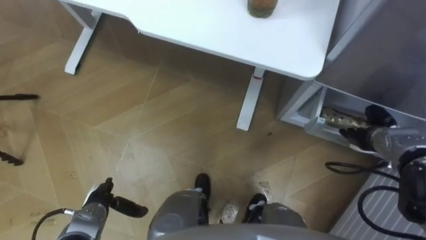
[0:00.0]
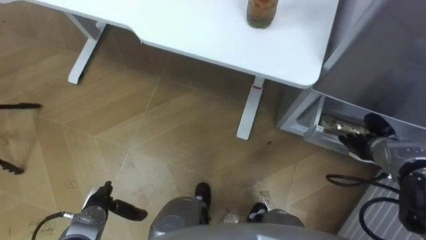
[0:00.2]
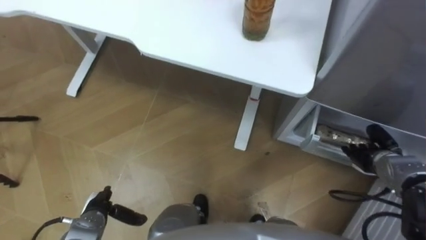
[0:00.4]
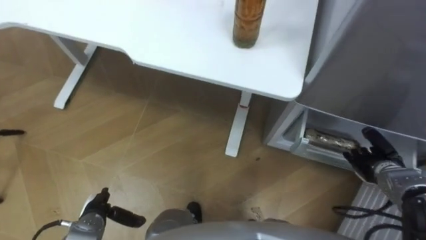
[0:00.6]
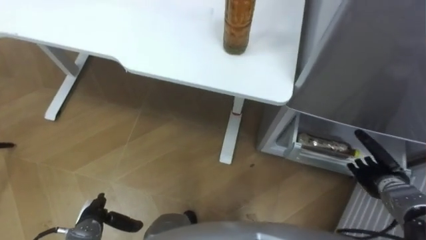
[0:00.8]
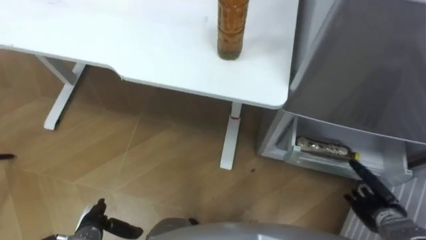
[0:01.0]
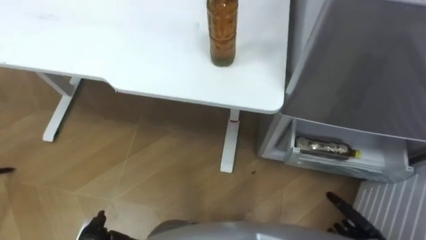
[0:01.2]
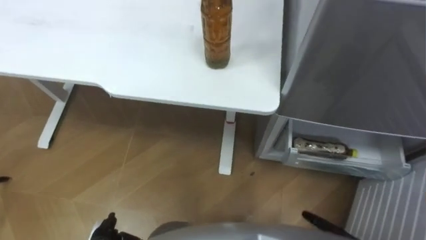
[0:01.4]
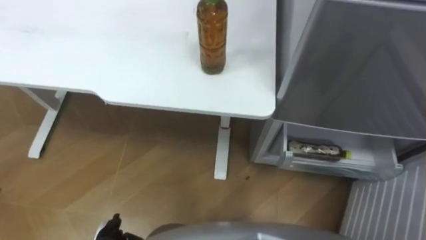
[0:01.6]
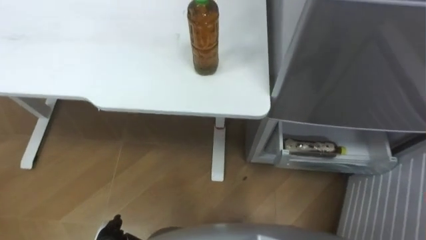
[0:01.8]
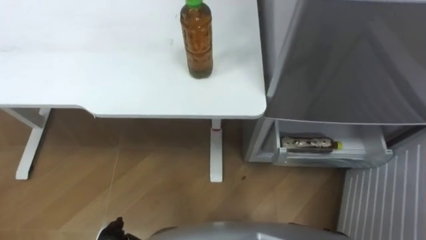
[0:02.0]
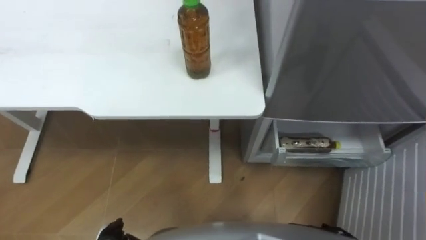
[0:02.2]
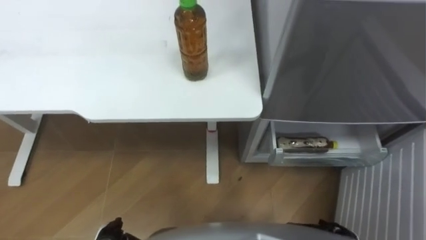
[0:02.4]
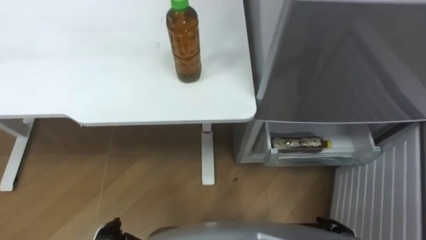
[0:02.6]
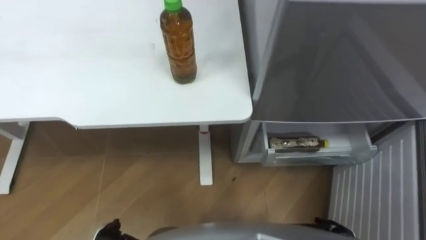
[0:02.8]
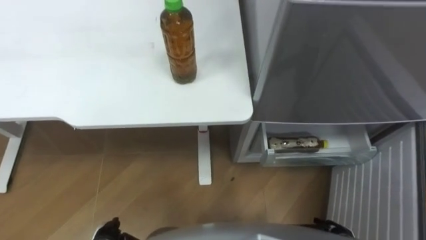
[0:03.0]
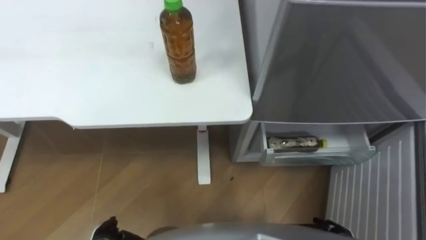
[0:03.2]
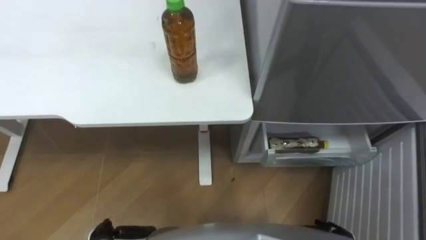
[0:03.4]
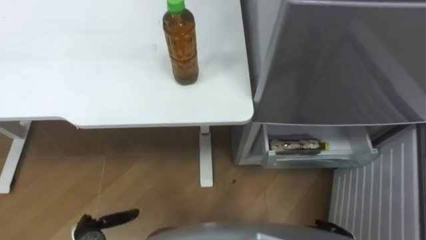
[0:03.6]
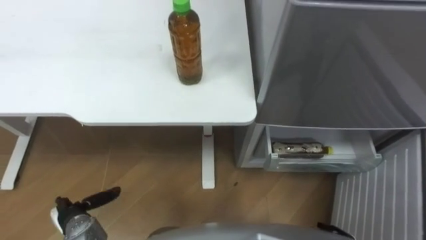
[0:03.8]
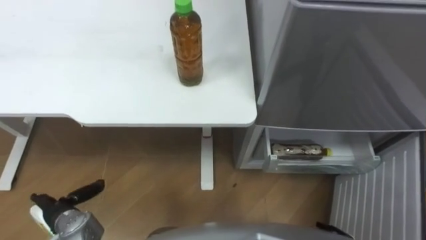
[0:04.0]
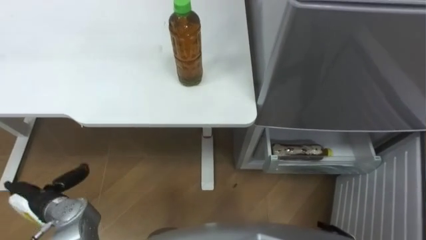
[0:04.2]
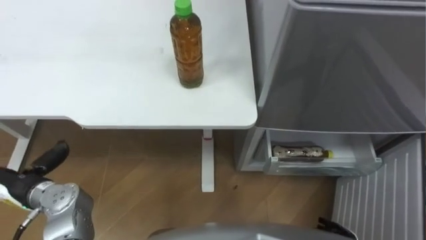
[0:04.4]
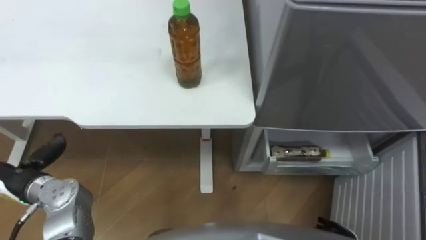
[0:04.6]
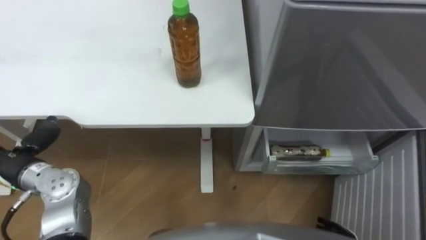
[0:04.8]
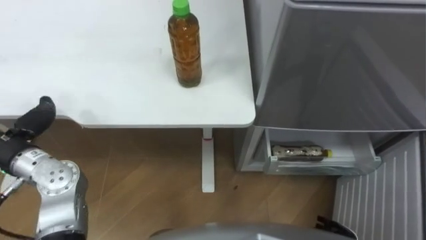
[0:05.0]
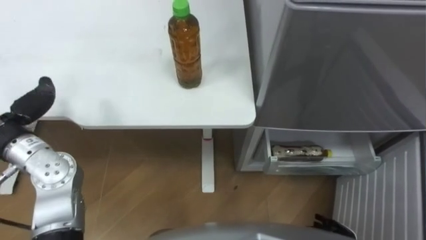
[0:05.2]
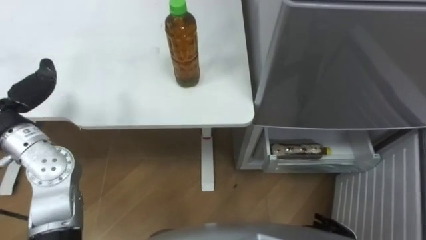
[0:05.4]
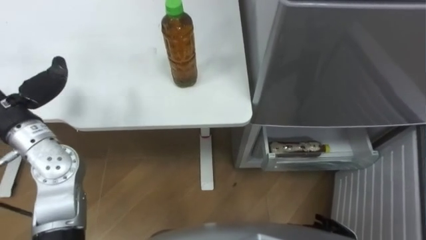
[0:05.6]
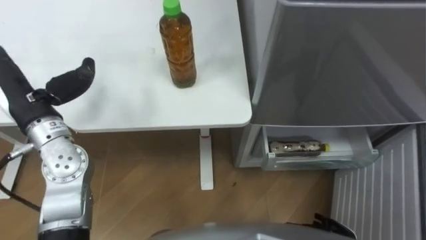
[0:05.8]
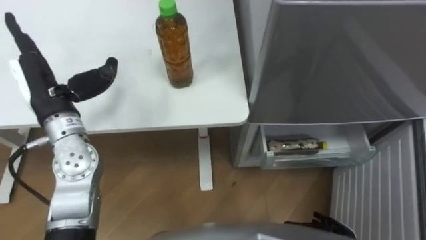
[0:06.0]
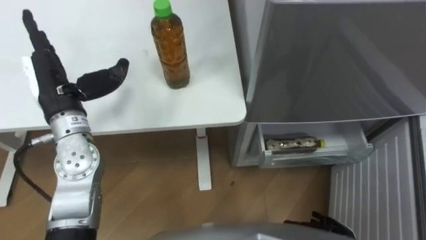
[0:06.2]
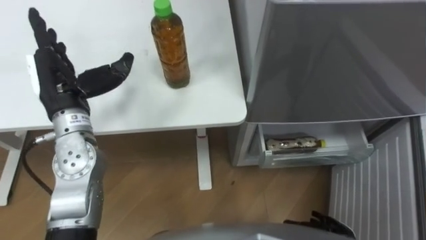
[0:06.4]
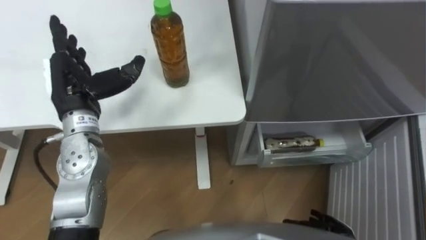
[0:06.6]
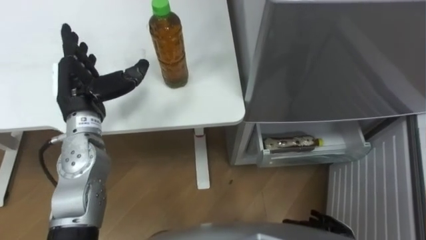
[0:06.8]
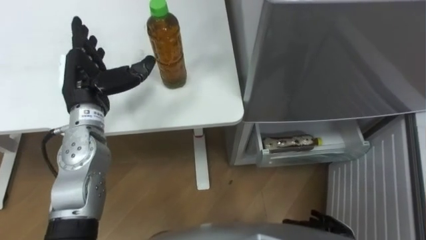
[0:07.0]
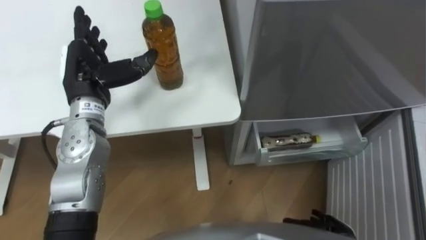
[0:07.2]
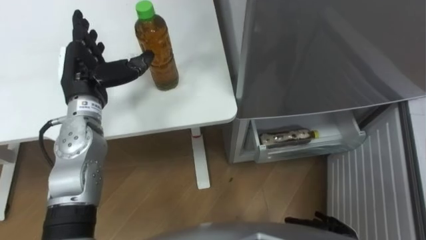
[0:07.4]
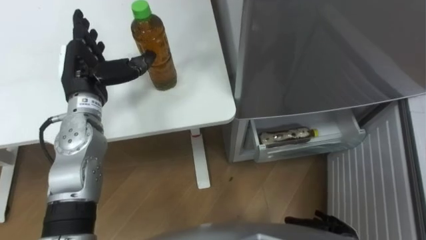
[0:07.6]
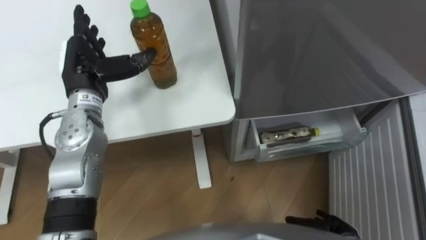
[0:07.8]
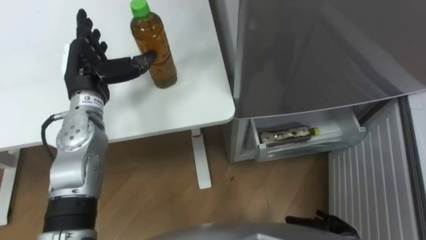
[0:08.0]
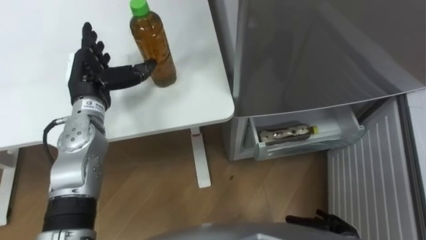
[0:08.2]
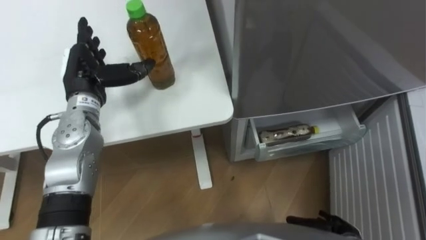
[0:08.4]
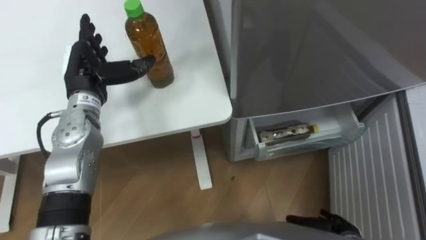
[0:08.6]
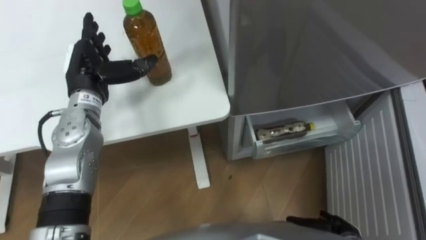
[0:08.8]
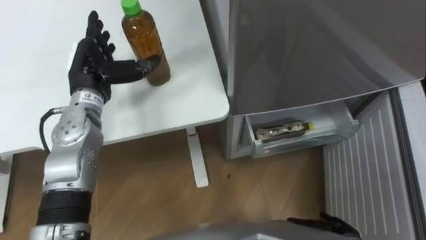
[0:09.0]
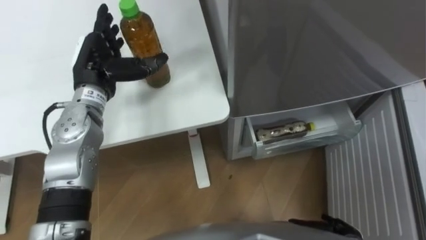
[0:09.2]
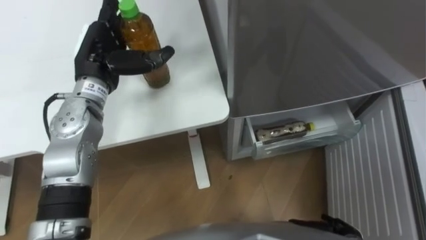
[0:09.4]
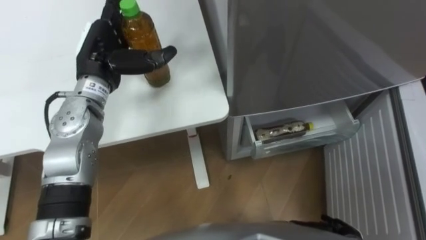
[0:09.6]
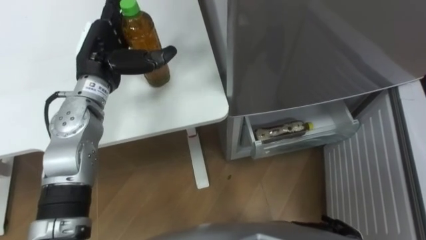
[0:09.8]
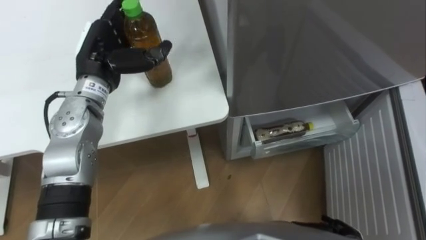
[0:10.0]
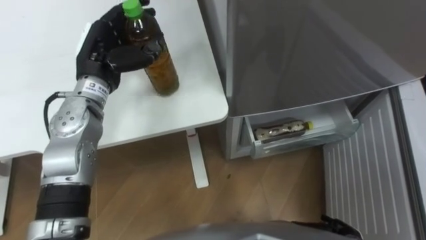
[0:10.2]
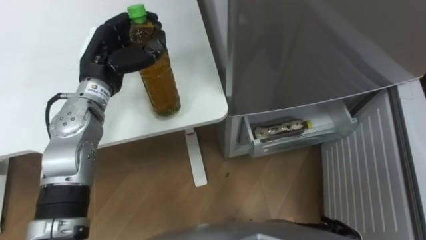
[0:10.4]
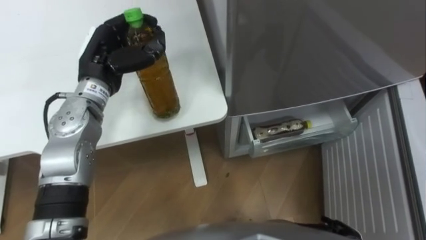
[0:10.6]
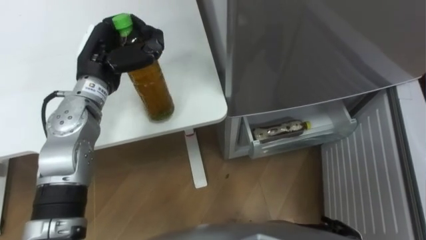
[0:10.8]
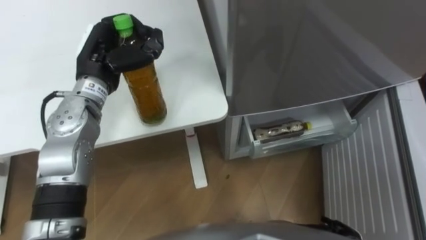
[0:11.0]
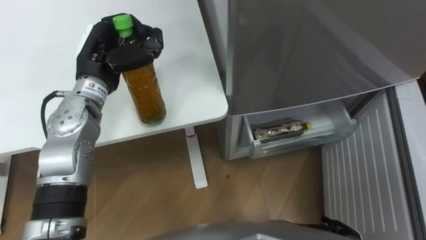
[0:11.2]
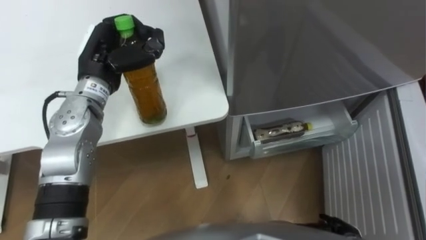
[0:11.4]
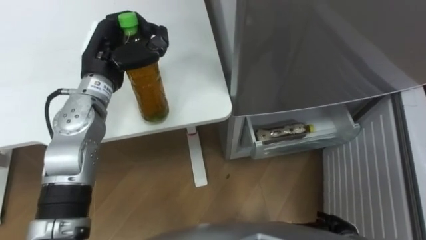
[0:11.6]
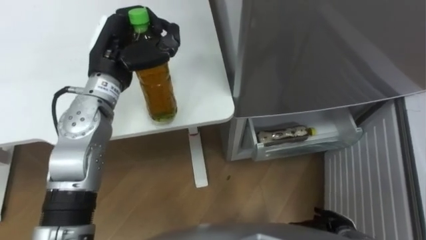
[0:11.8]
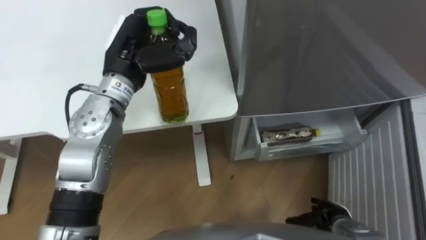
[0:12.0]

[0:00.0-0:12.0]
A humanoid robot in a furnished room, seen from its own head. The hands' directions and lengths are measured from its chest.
Task of the whole recording: Place the drink on the table on the bottom shelf of the refrigerator, then close the drawer and the refrigerator door.
0:06.0 to 0:07.6: The left hand shifts by roughly 5 cm.
0:09.0 to 0:10.4: The left hand closes.
0:10.4 to 0:12.0: The left hand moves to the right, approximately 5 cm.

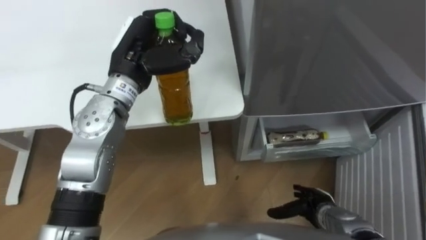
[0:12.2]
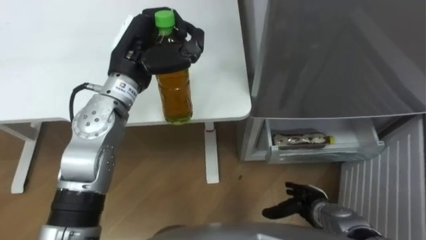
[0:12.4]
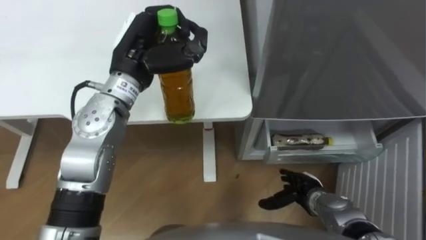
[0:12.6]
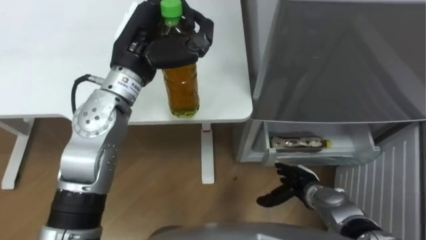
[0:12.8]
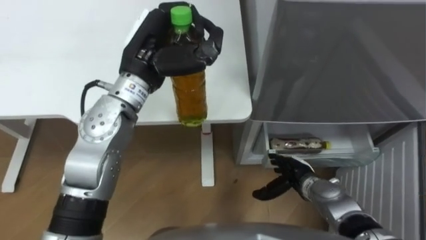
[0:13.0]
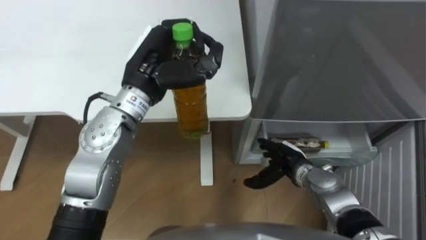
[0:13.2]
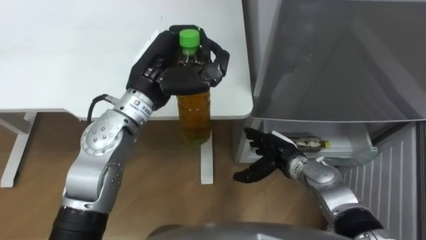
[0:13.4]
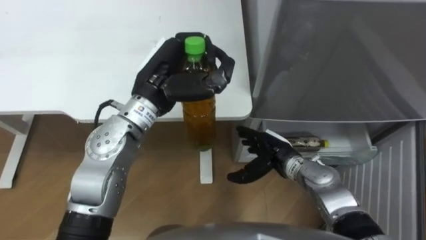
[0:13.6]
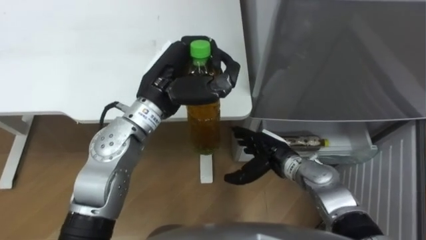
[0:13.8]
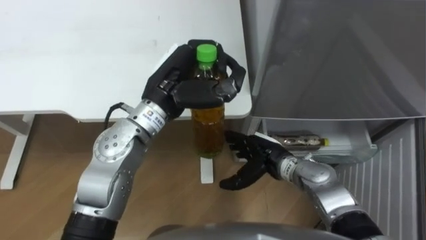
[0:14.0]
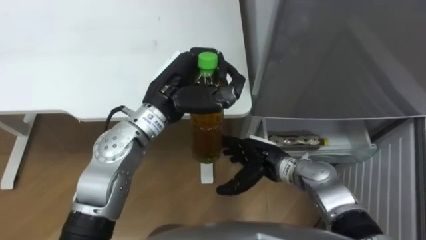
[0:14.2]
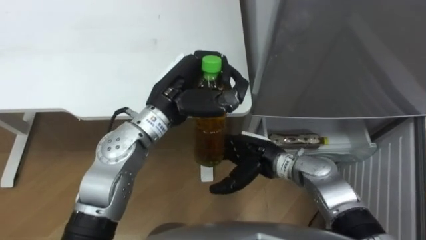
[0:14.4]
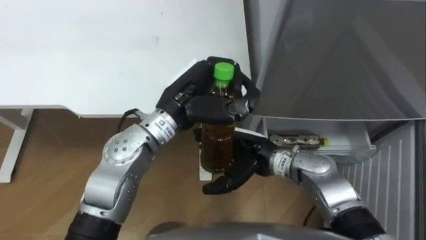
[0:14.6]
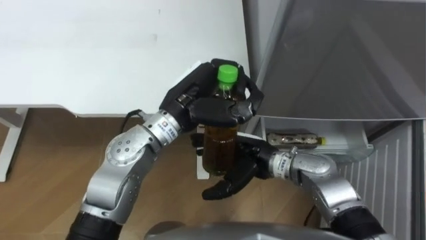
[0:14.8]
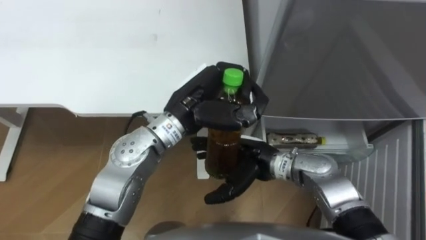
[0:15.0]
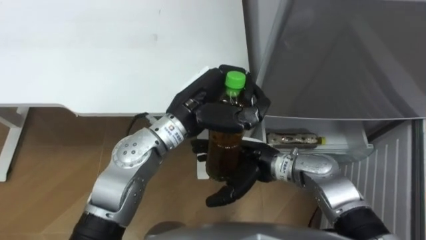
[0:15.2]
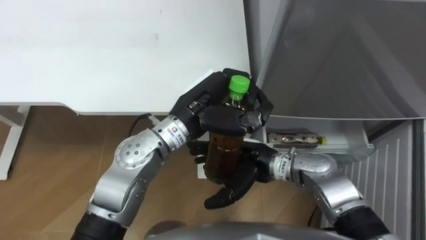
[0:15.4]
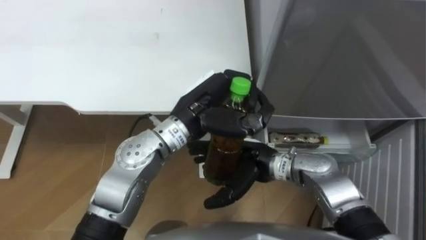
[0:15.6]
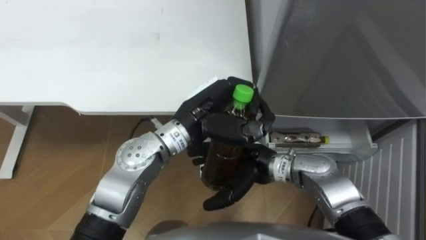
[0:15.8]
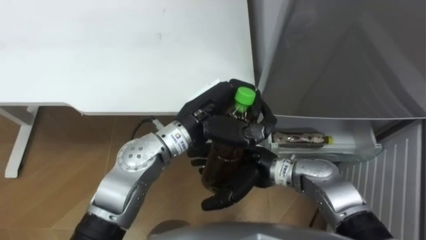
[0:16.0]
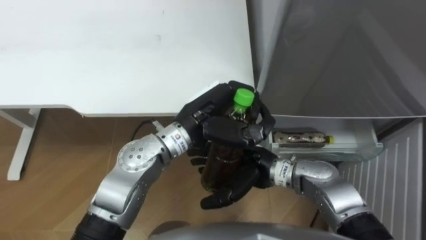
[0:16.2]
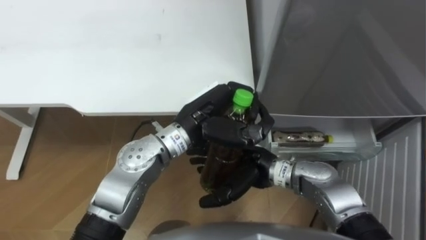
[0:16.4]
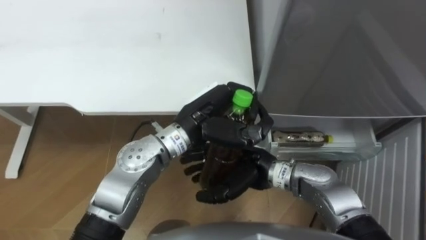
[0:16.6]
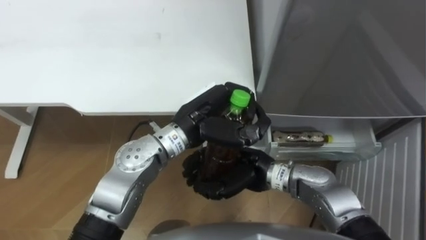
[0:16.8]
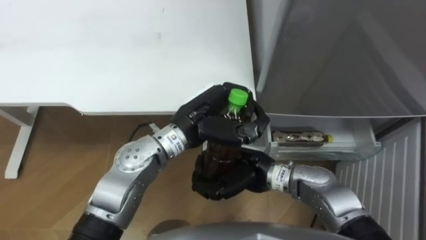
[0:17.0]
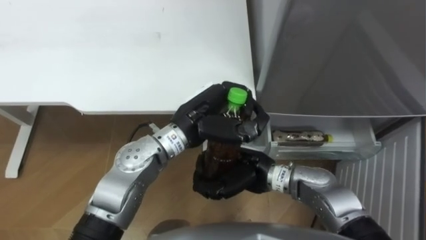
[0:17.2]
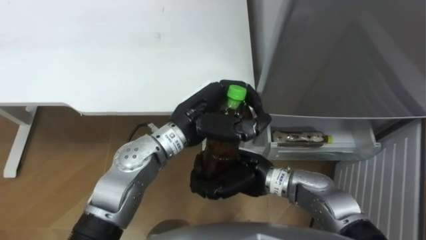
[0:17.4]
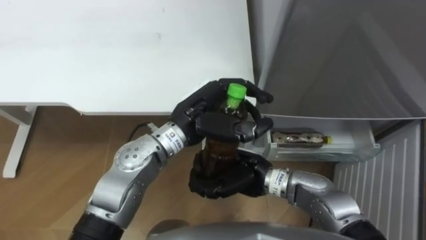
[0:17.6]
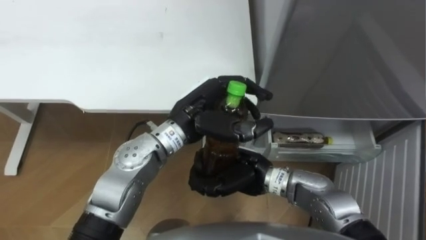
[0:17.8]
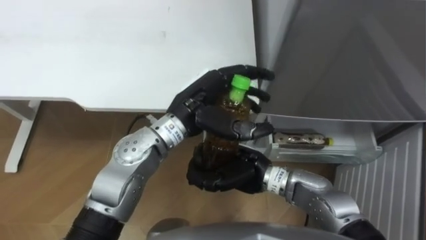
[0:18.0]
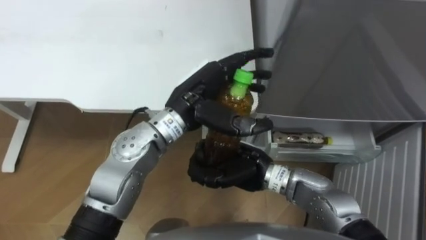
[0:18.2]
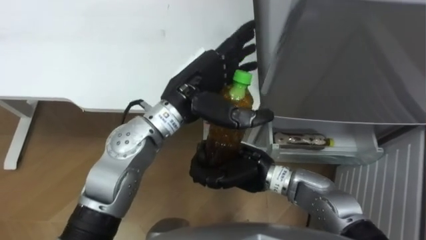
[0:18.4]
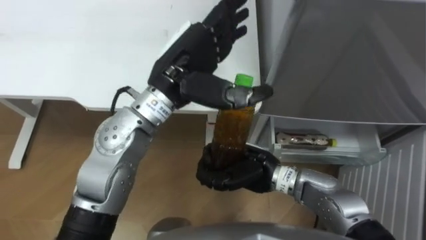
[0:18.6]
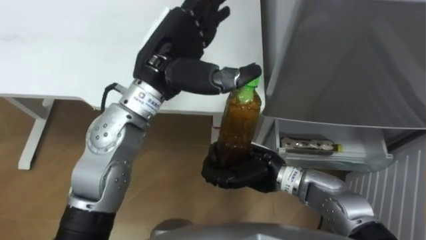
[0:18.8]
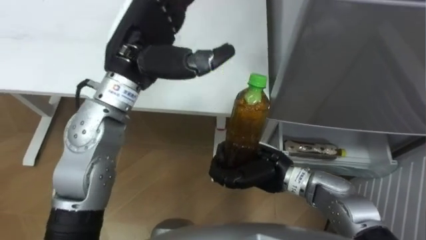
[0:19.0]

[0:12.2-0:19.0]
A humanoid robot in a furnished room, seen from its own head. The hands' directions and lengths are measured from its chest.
Task of the whole recording: Place the drink on the table on the bottom shelf of the refrigerator, then close the drawer and the refrigerator door.
0:12.2 to 0:13.6: The left hand moves approximately 5 cm; the right hand moves forward, to the left and upward, some 15 cm.
0:13.6 to 0:15.0: The left hand goes approximately 5 cm to the right; the right hand is displaced to the left and upward by some 10 cm.
0:16.2 to 0:17.6: The right hand closes up.
0:17.6 to 0:19.0: The left hand shifts about 15 cm upward and to the left, and opens its fingers.
